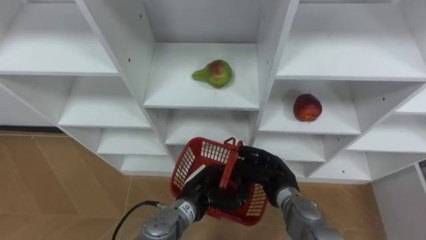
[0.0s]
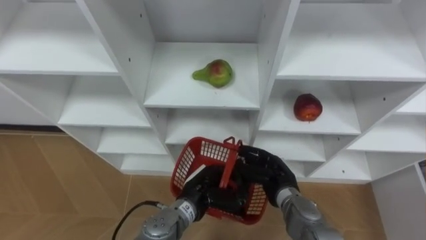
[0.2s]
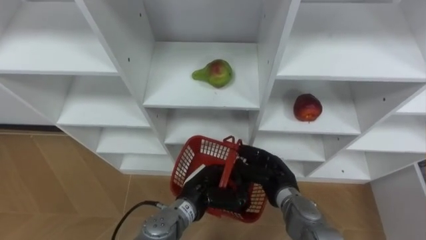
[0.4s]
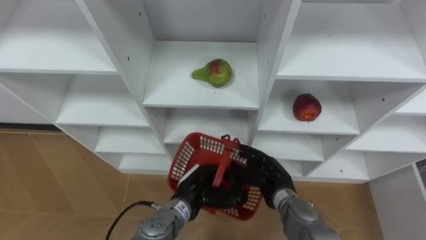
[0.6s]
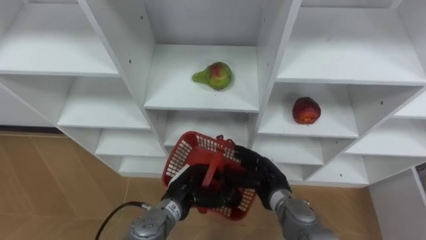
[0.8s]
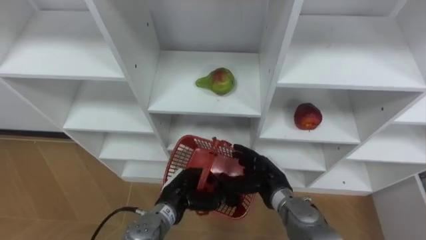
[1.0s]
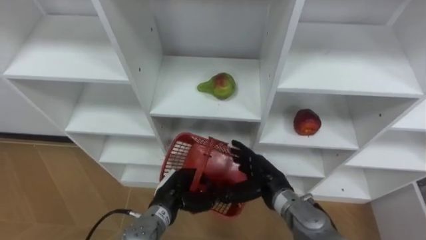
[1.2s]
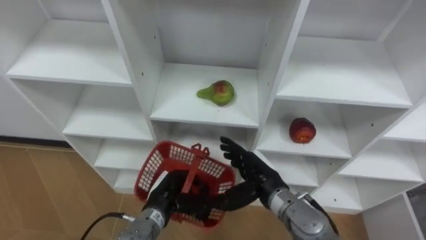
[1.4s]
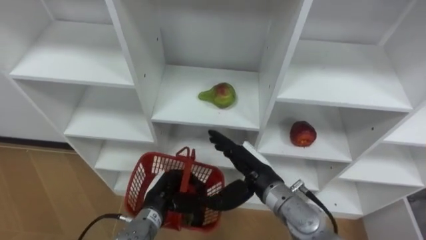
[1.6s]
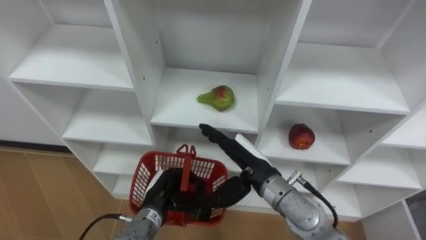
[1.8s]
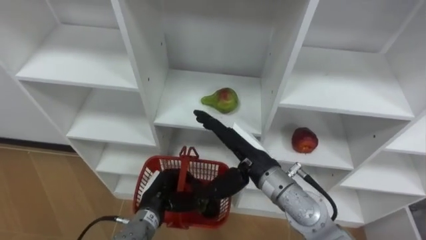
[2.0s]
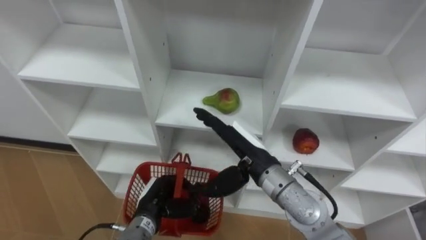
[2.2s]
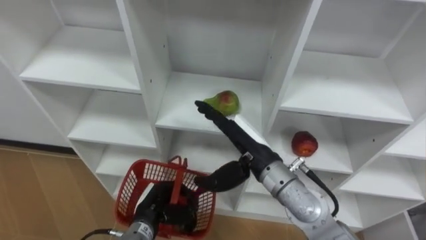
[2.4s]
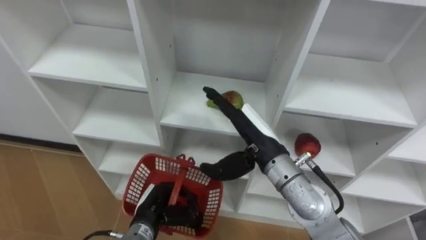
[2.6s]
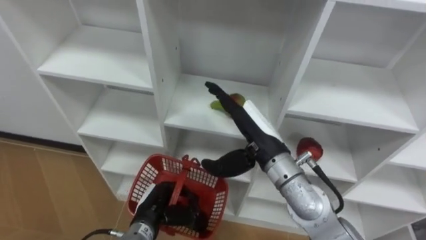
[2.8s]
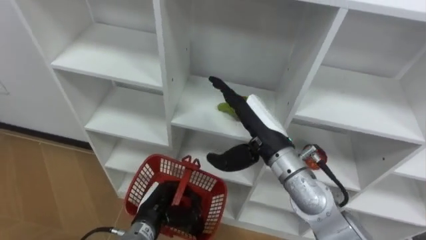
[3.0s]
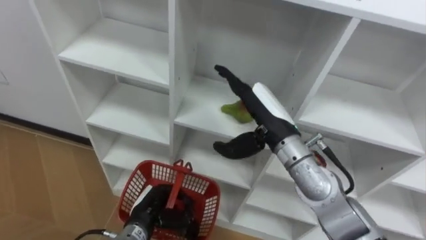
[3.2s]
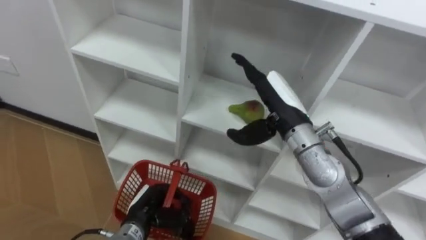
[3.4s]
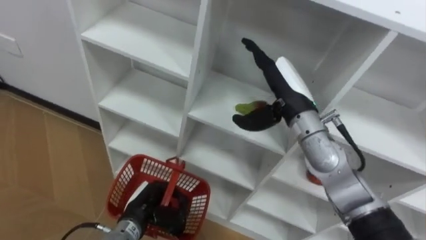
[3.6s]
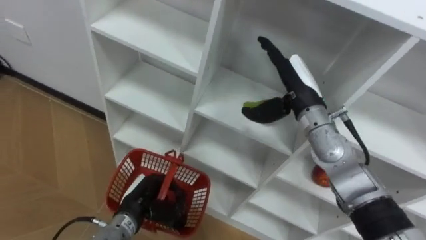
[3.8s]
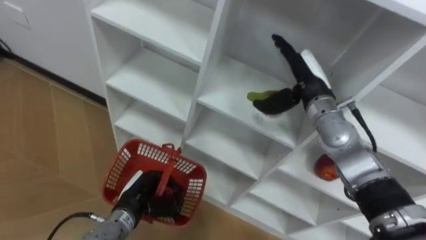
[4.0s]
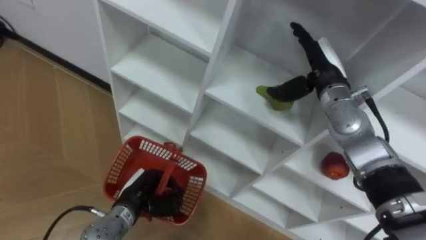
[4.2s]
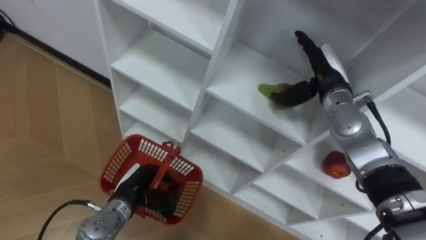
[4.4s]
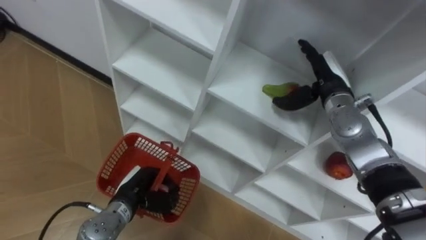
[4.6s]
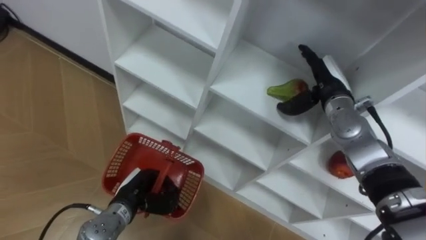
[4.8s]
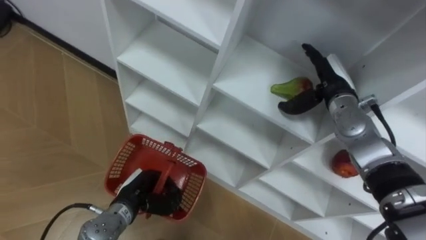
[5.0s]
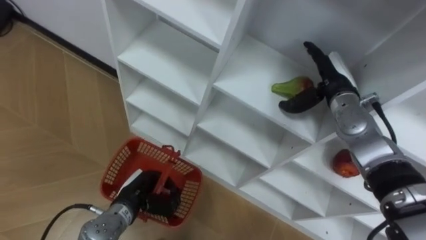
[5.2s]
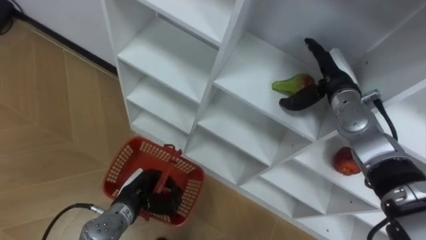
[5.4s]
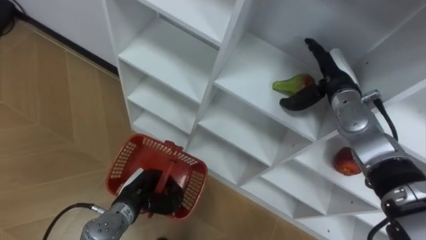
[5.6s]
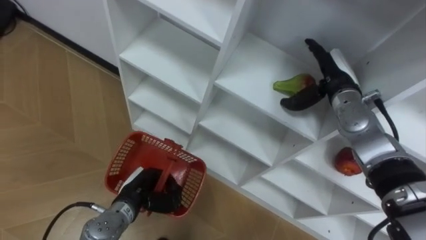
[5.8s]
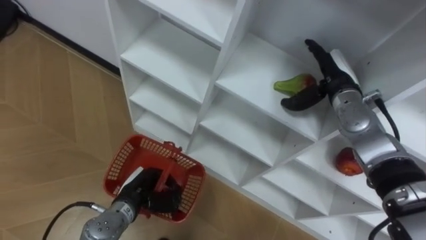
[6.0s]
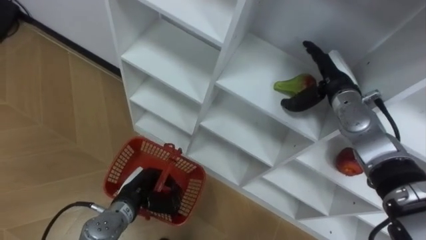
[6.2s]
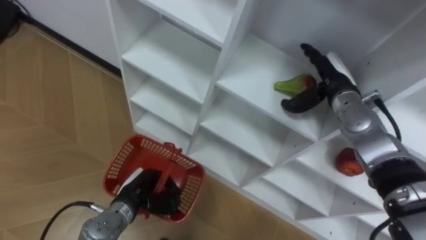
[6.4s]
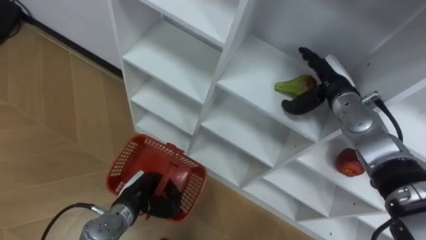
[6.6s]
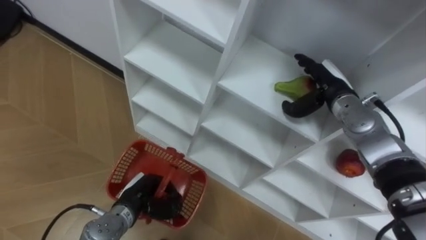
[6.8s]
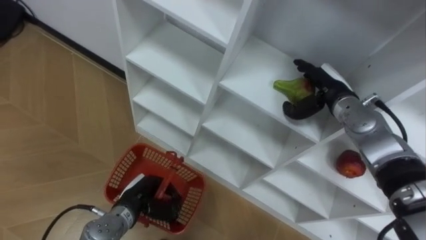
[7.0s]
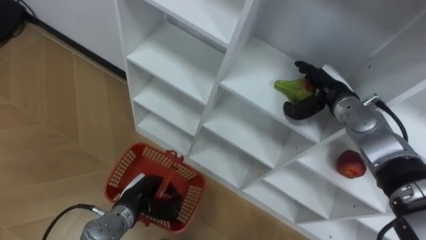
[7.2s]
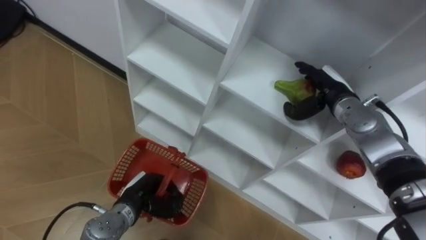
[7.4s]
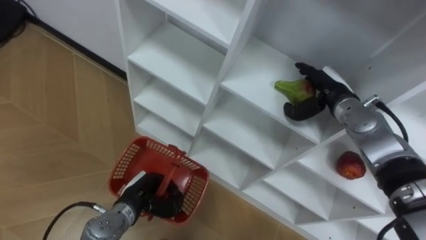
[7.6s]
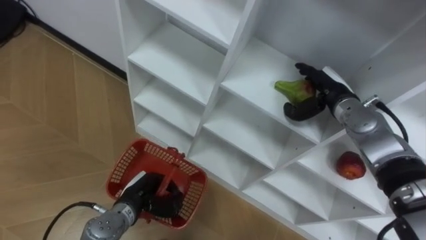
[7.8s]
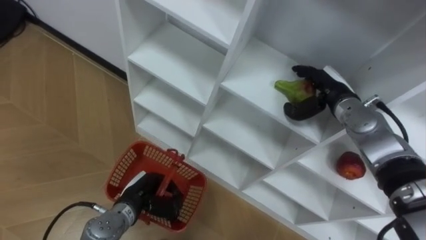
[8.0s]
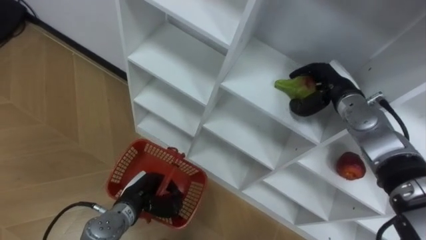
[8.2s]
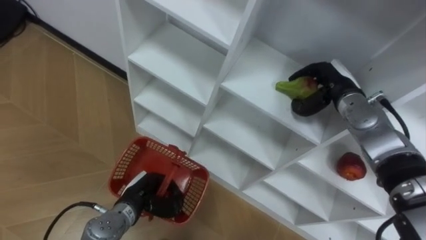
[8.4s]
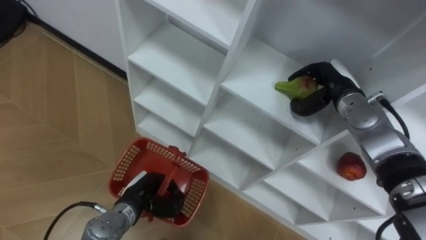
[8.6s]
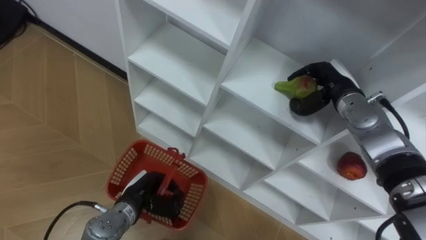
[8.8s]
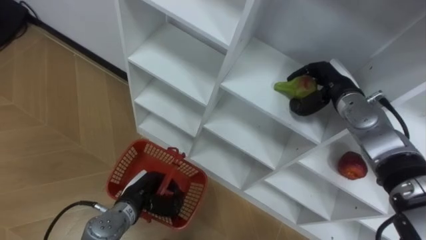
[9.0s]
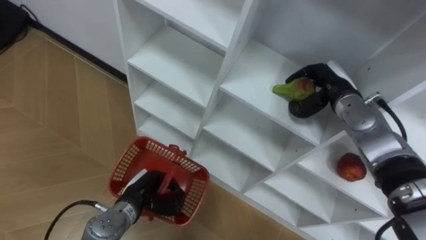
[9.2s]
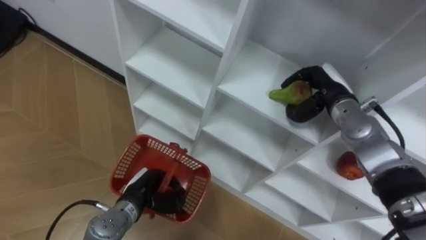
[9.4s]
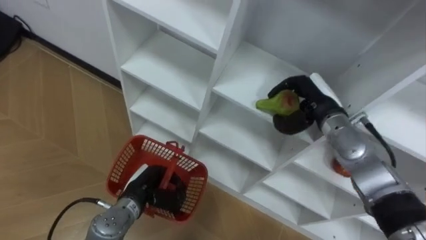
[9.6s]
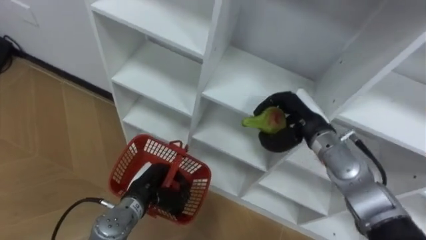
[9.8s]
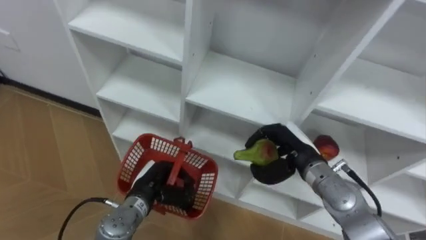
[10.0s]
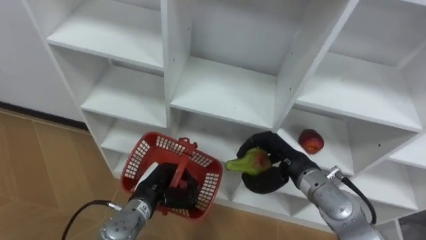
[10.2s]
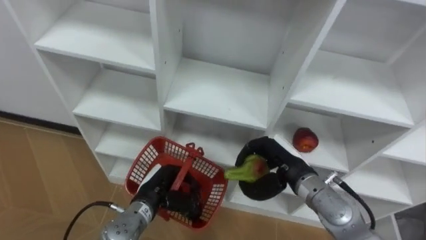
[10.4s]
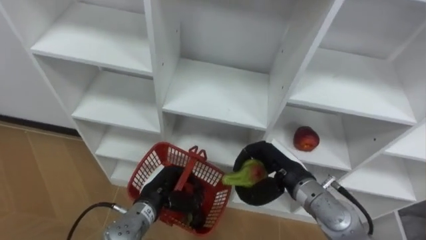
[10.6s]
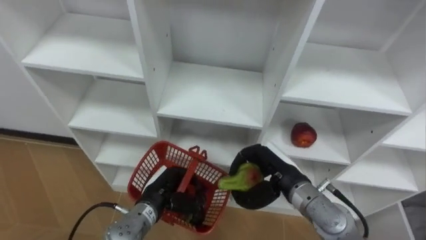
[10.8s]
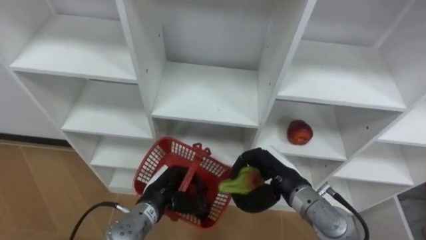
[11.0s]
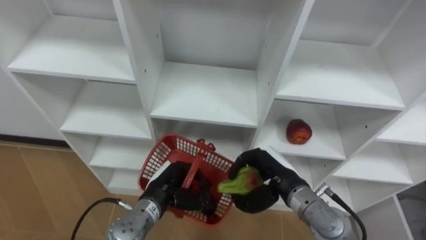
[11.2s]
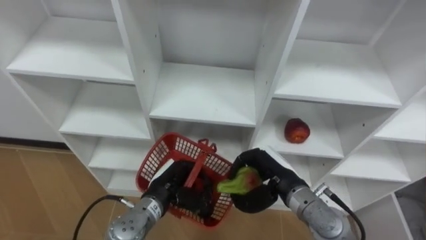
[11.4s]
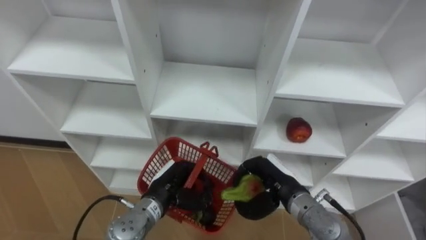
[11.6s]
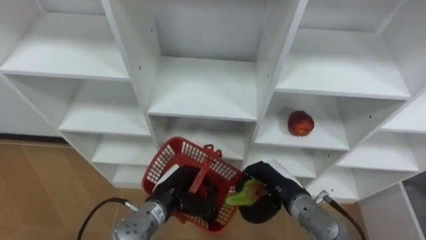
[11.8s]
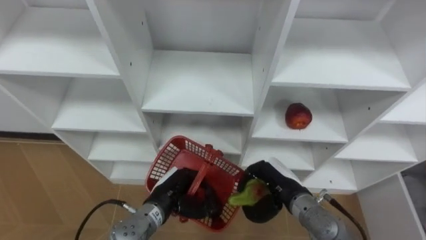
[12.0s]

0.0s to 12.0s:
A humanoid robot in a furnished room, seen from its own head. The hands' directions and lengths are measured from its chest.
Task of the whole recording: Hold the basket and collect the fruits from 3 different cells of the closet into it.
0.0s to 1.6s: The right hand heads upward, covering roughly 10 cm; the left hand is displaced to the left by some 10 cm.
1.6s to 3.0s: The right hand moves upward, approximately 10 cm.
3.0s to 4.4s: The left hand changes place by roughly 5 cm. The right hand goes roughly 15 cm to the right and forward.
6.0s to 7.6s: The hands move only a little.
7.6s to 9.0s: The right hand closes up.
9.0s to 10.4s: The right hand heads backward, to the left and downward, covering roughly 15 cm.
10.4s to 12.0s: The right hand ends up approximately 5 cm from where it was.

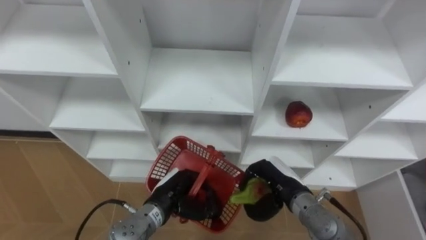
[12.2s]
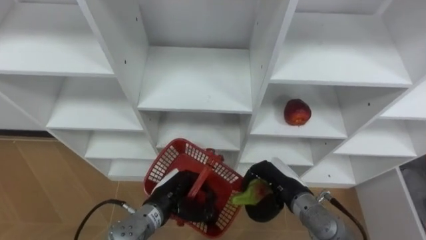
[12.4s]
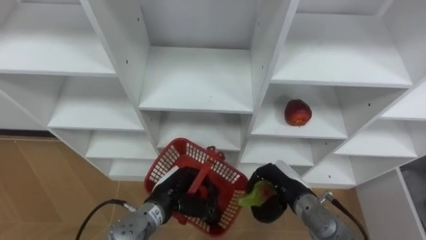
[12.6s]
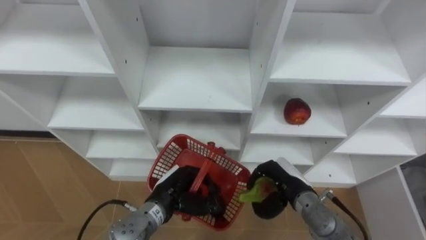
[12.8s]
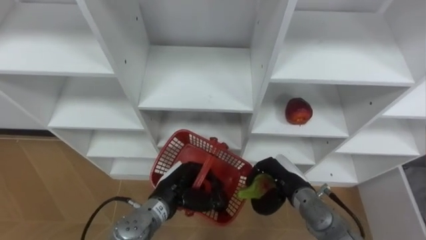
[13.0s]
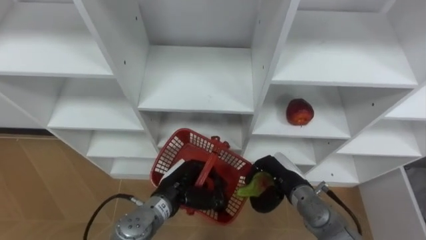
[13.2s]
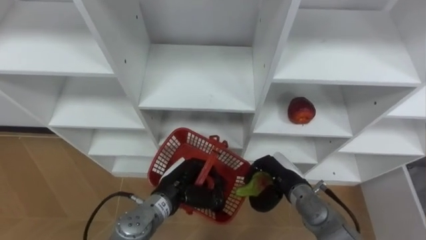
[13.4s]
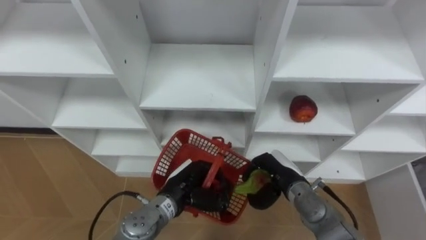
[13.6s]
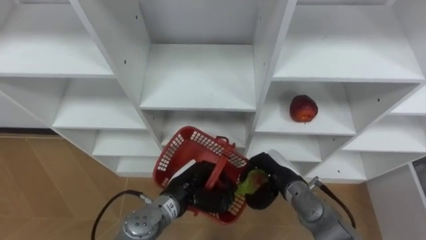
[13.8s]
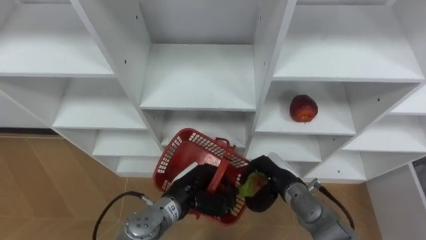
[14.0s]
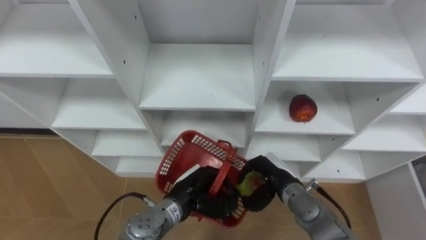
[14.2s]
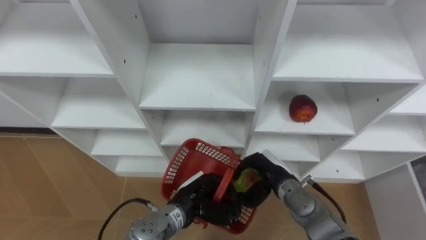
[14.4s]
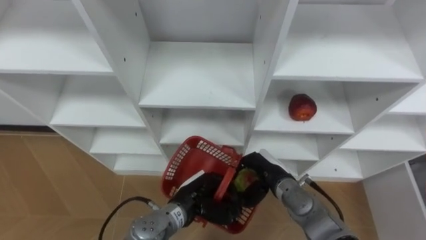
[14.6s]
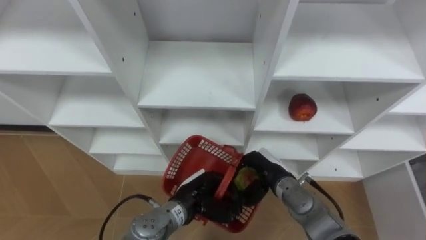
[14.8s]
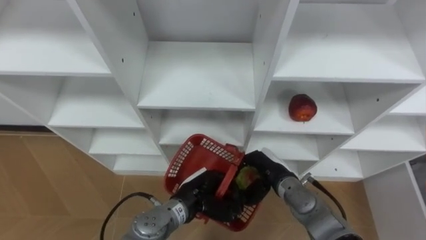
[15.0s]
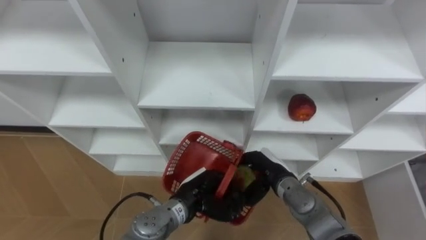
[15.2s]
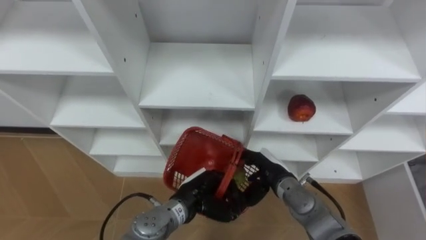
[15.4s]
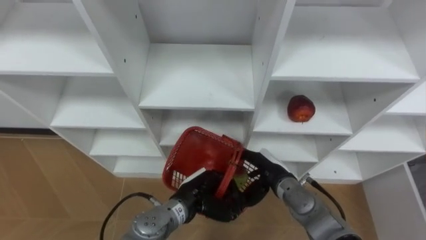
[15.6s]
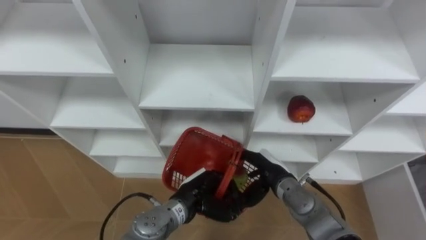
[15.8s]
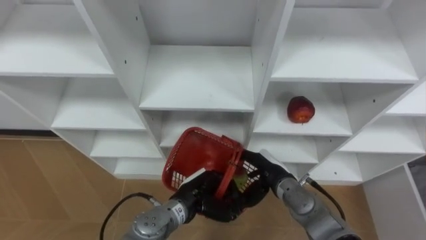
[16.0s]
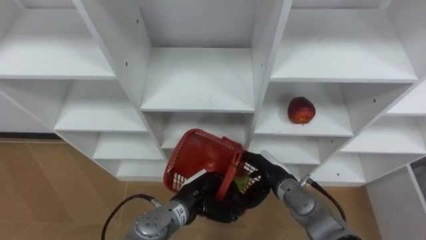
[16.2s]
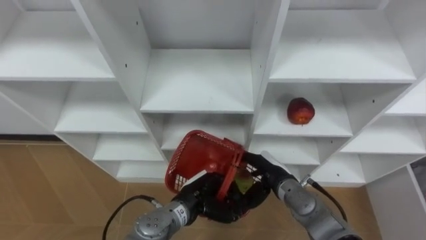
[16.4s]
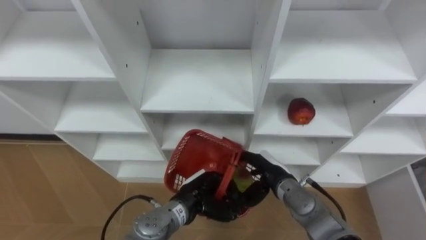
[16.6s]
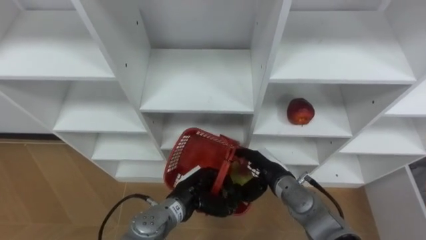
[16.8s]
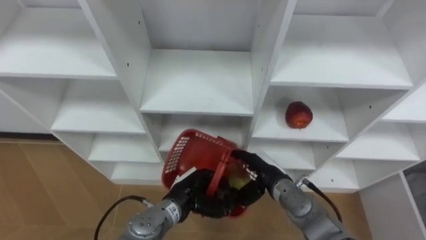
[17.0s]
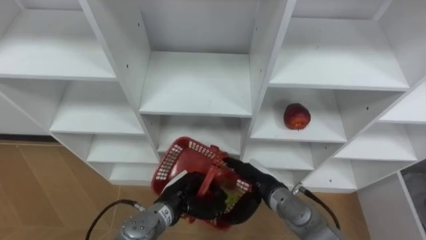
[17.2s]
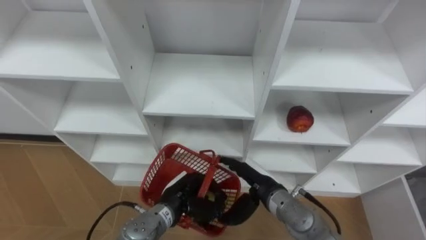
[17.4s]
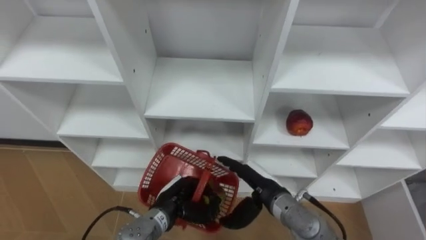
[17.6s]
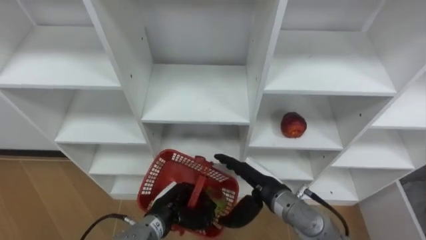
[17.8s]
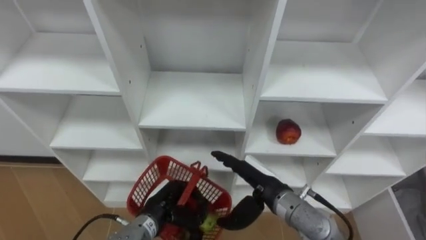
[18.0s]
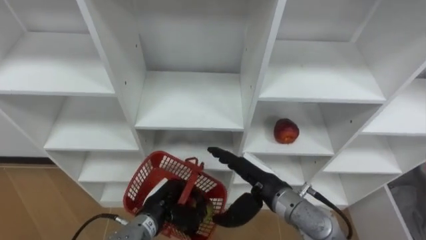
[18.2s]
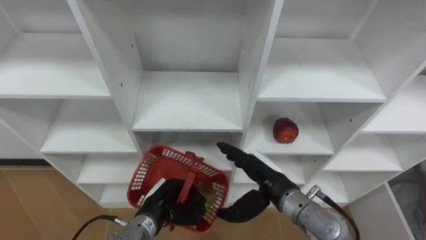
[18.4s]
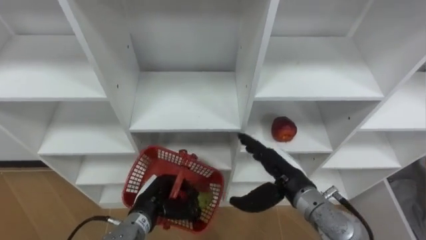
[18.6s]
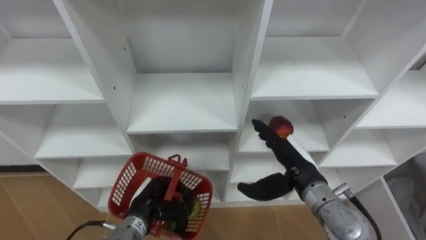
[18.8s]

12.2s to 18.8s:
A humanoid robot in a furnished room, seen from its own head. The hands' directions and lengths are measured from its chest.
Task of the whole recording: Hold the basket and collect the fruits from 3 different cells of the closet into it.
13.8s to 15.4s: The right hand opens up.
17.2s to 18.8s: The right hand travels upward and to the right by approximately 10 cm, while the left hand moves to the left, some 5 cm.
